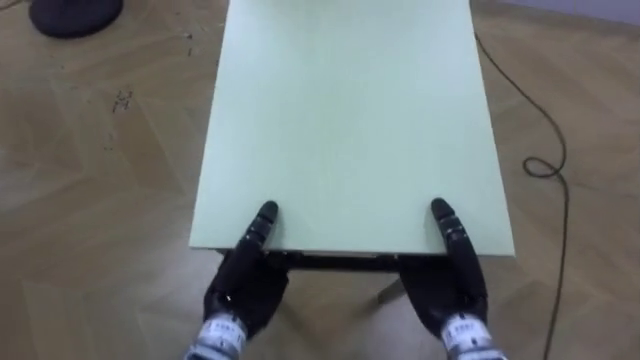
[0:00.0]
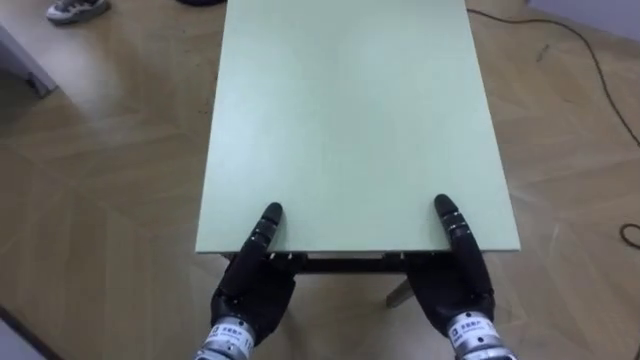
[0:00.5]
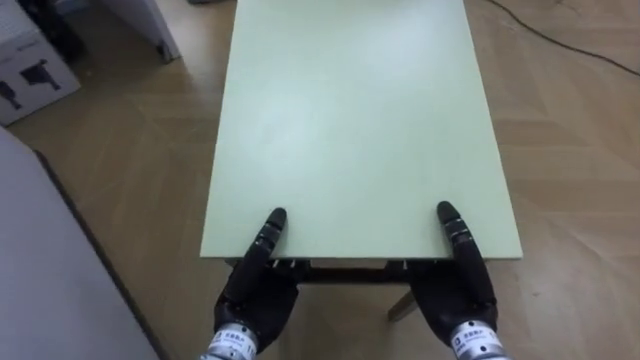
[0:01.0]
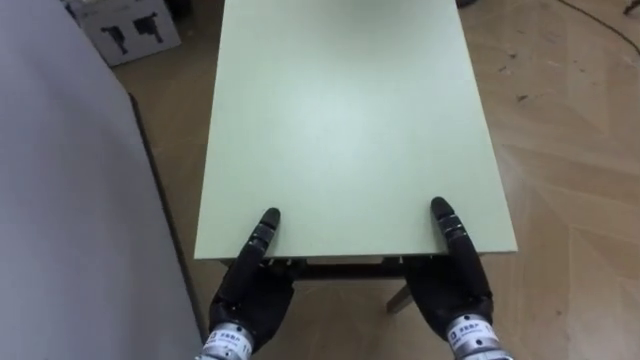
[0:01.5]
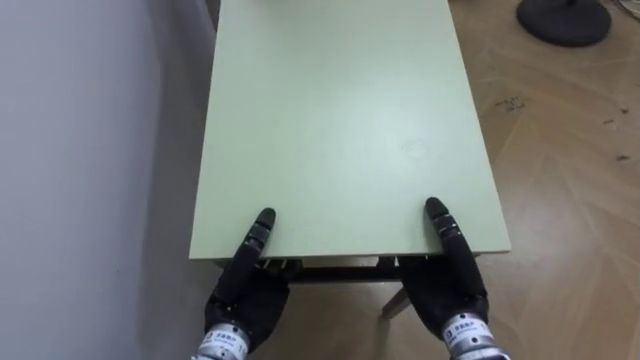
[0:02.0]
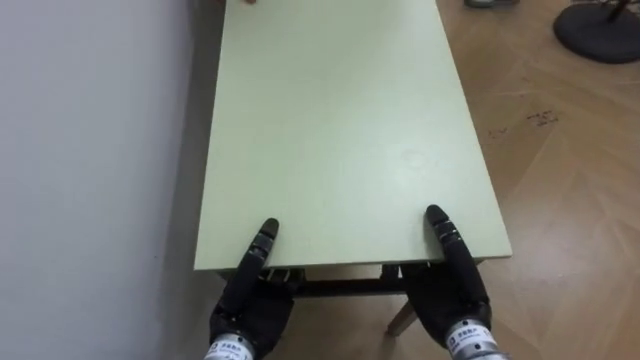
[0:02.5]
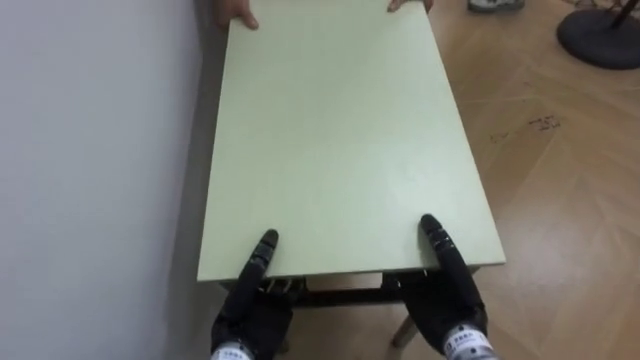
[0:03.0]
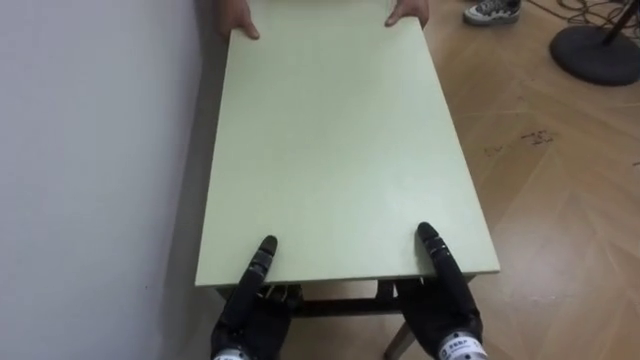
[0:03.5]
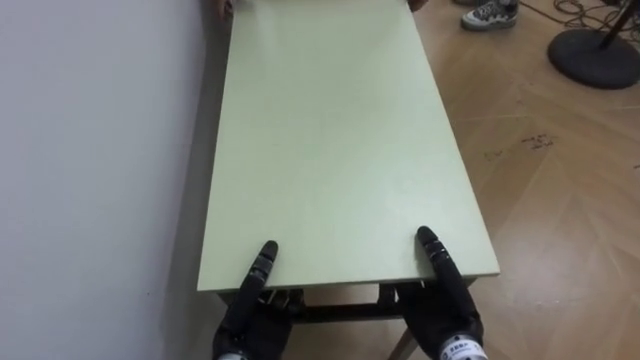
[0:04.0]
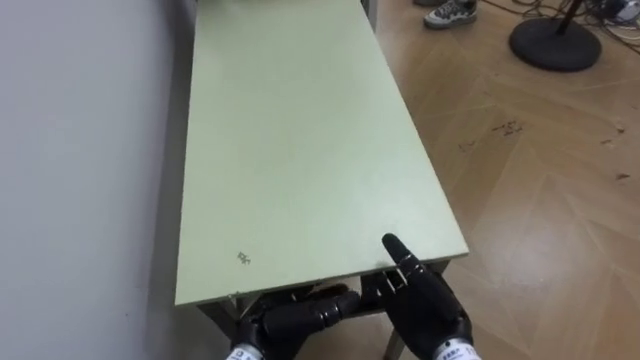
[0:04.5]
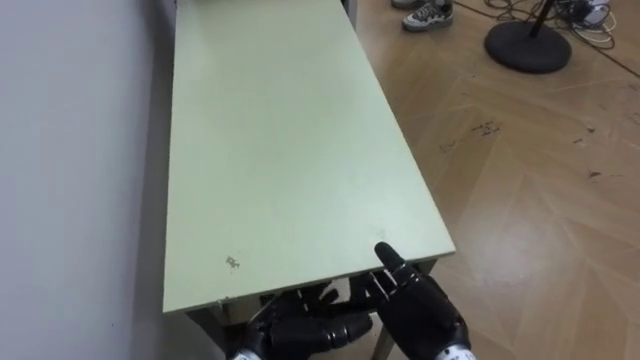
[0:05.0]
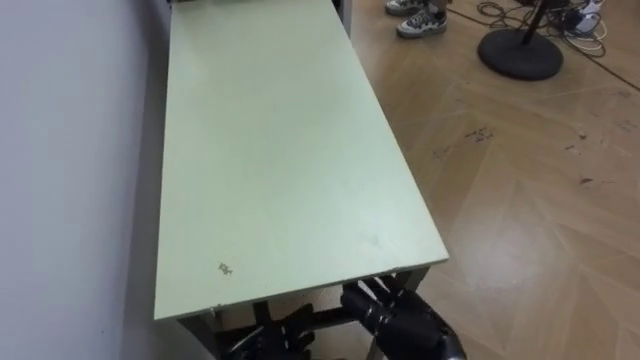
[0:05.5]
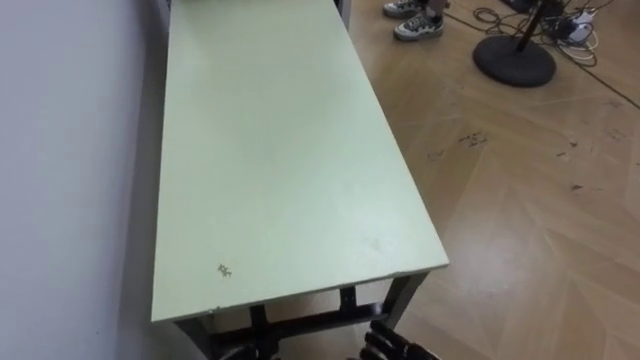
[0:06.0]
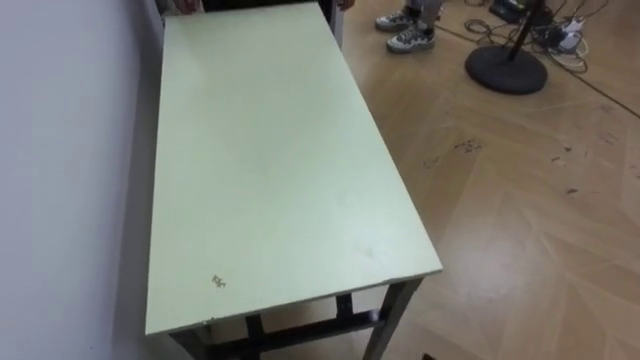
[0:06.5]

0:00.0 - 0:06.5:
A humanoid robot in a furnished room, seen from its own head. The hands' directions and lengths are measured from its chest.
Task of the whole recording: Move the table to the back left with someone.
0:00.0 - 0:02.0: The robot faces roughly 65 degrees further to its left.
0:02.0 - 0:04.5: The right hand opens its fingers, while the left hand ends up some 5 cm from where it was, and opens.

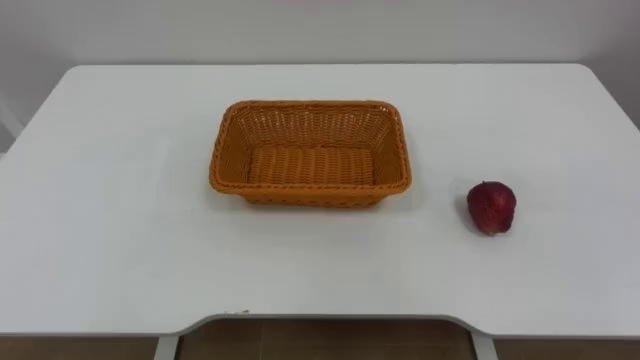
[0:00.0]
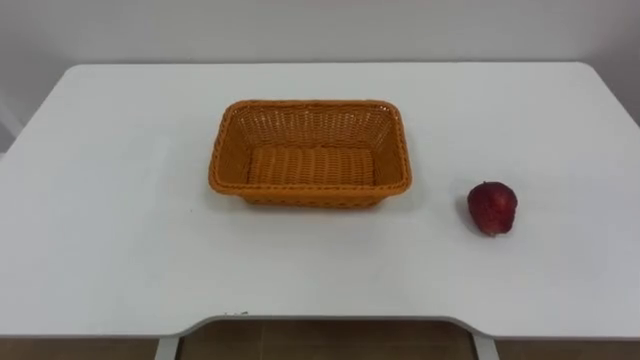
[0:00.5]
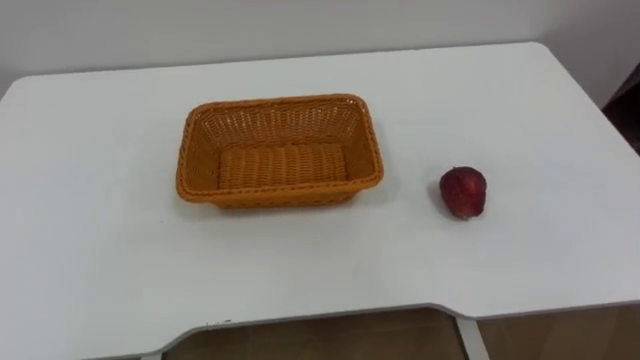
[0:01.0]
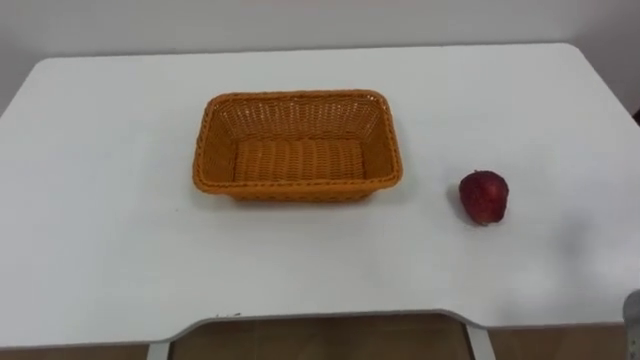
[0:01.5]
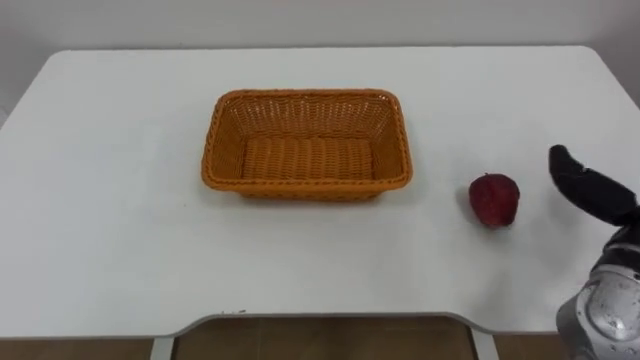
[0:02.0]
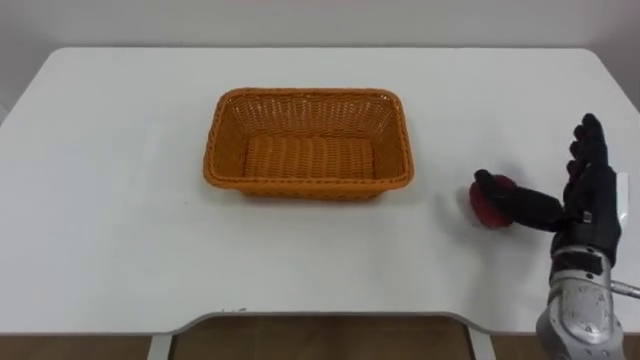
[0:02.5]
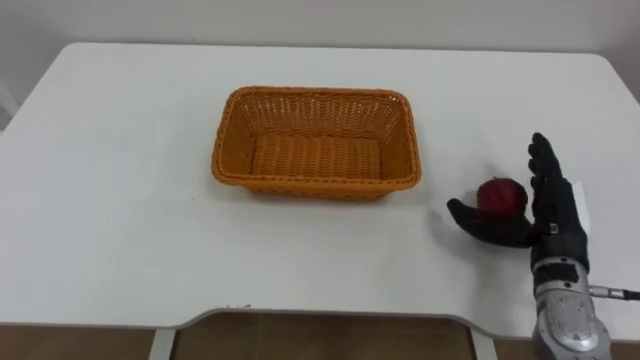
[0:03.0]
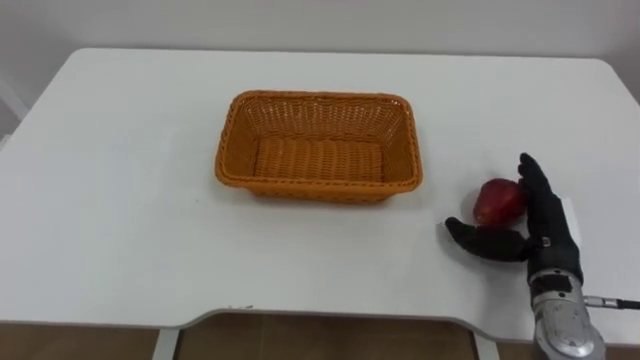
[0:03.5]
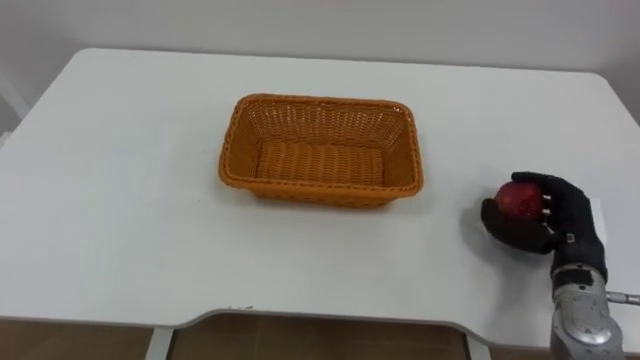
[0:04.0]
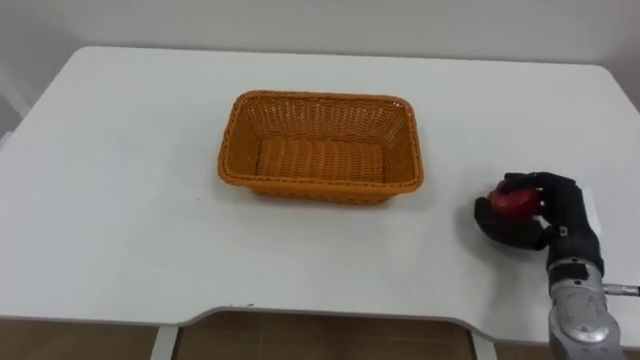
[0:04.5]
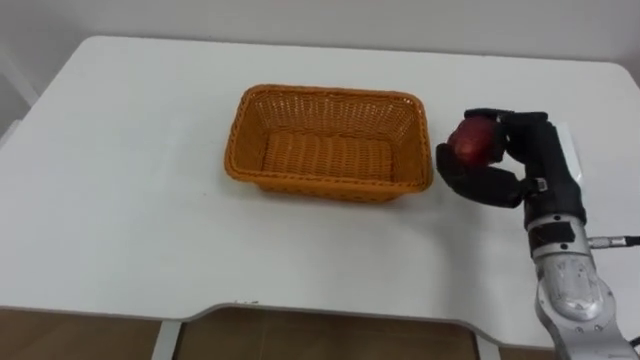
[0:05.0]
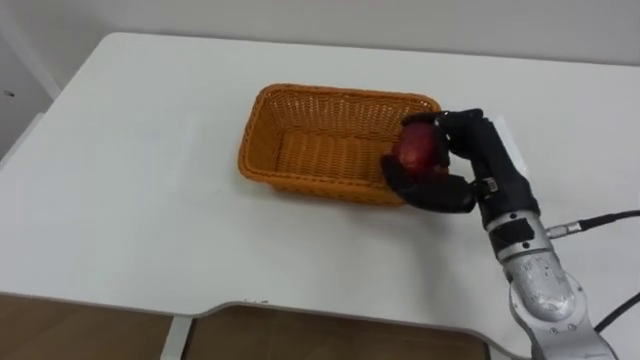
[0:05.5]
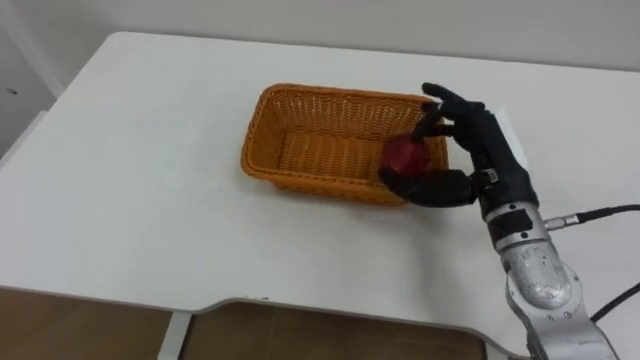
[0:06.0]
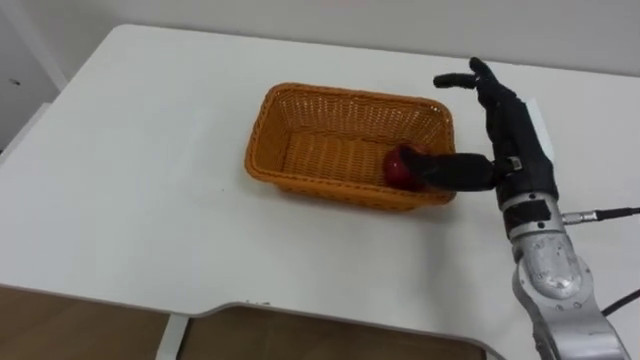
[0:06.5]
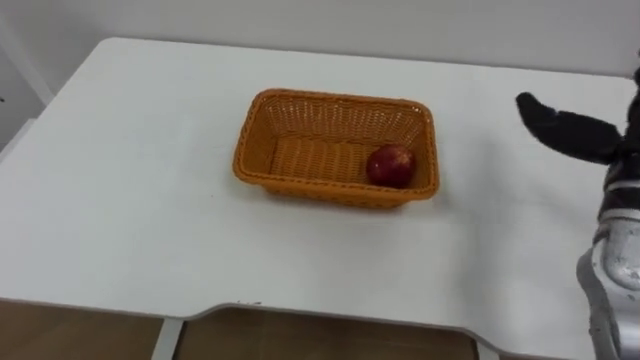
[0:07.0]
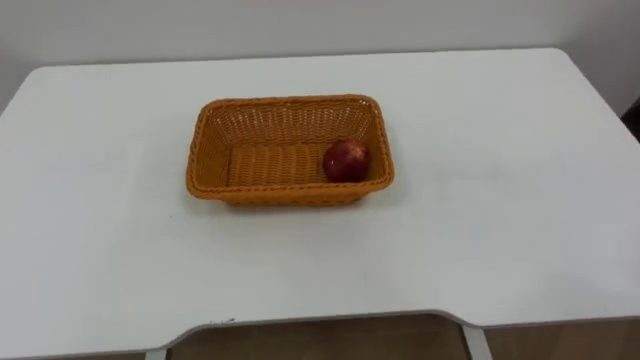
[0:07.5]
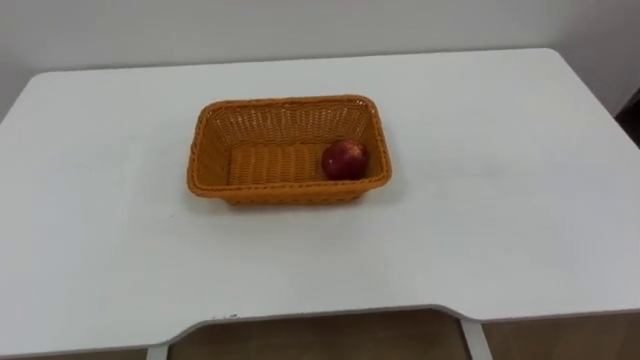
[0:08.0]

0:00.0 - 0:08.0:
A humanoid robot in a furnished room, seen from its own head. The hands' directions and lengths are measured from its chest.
Task of the whole recording: Pick the apple and place it in the box.
0:04.0 - 0:06.0: The right hand shifts some 15 cm to the left and upward.

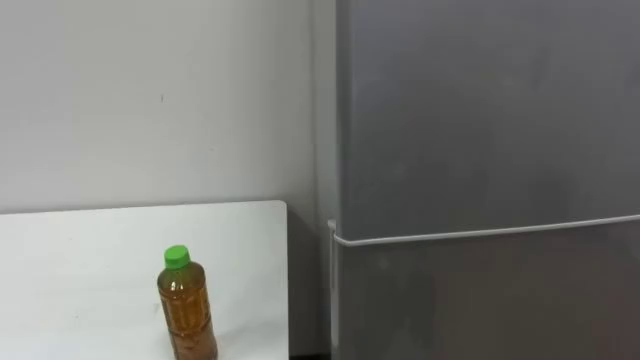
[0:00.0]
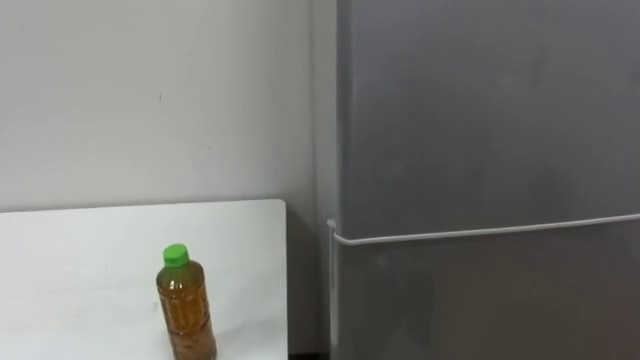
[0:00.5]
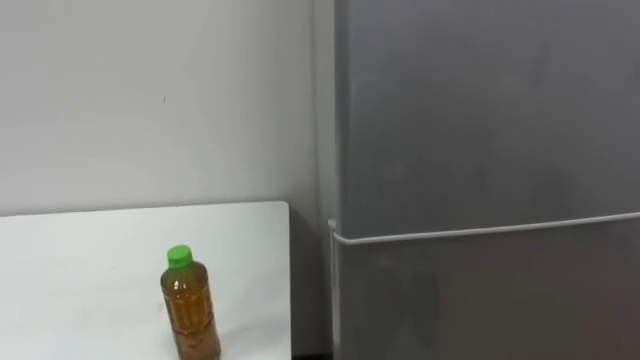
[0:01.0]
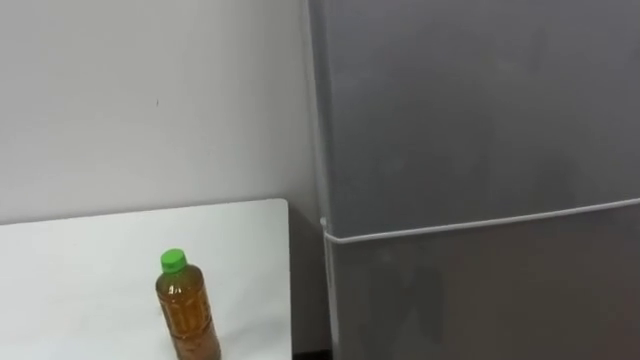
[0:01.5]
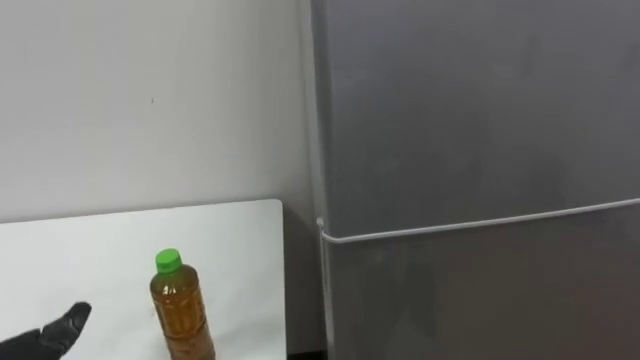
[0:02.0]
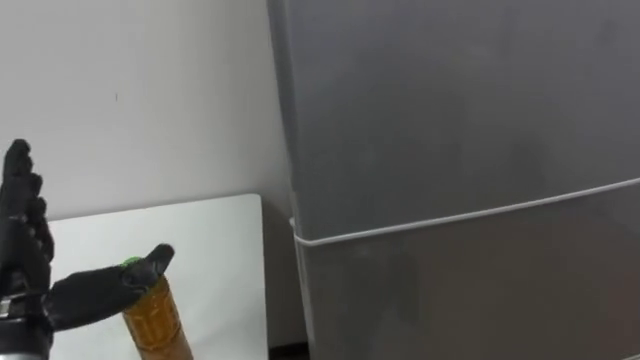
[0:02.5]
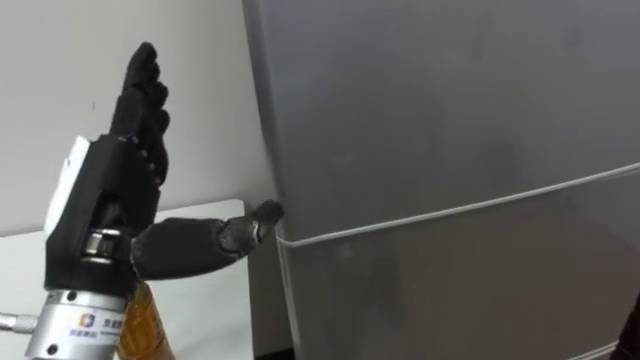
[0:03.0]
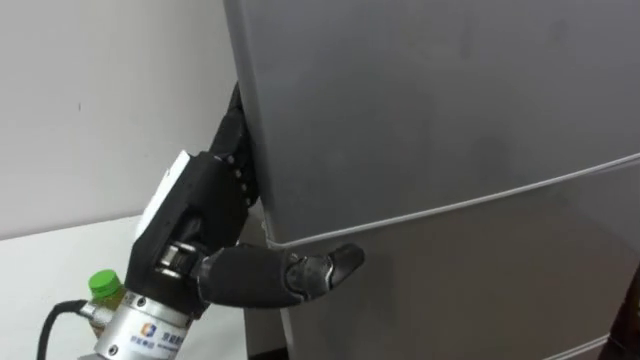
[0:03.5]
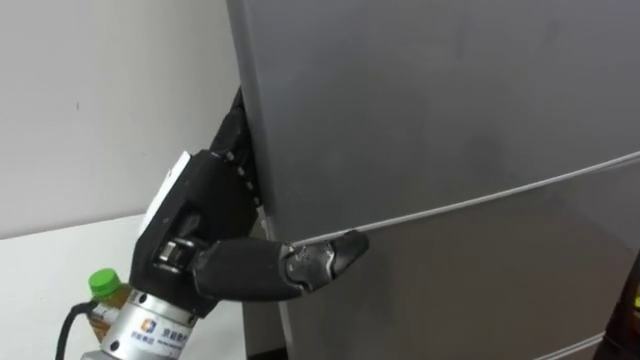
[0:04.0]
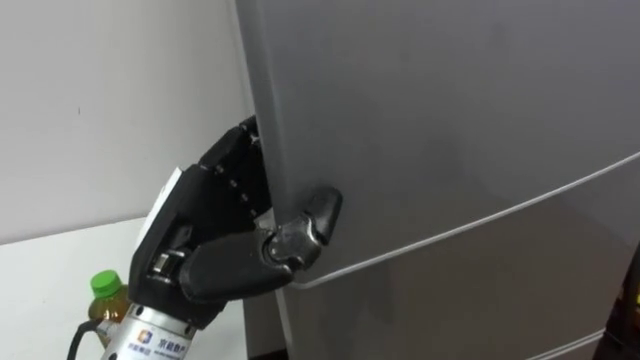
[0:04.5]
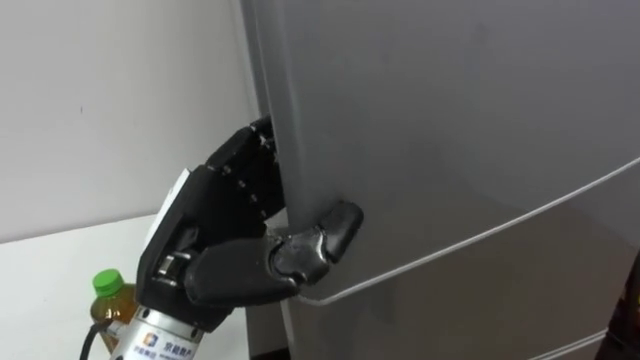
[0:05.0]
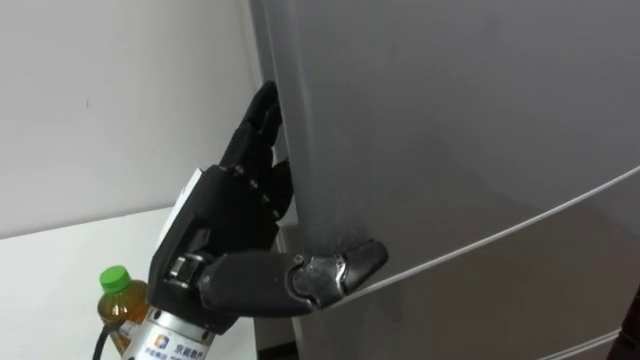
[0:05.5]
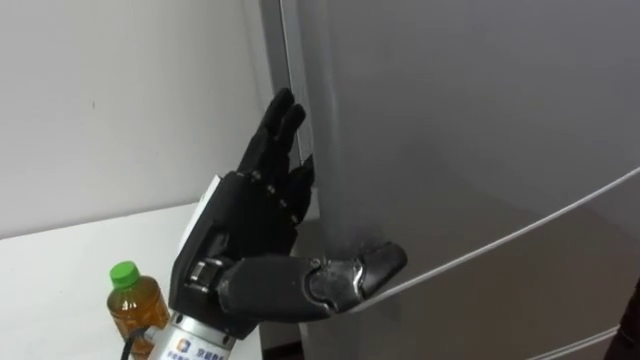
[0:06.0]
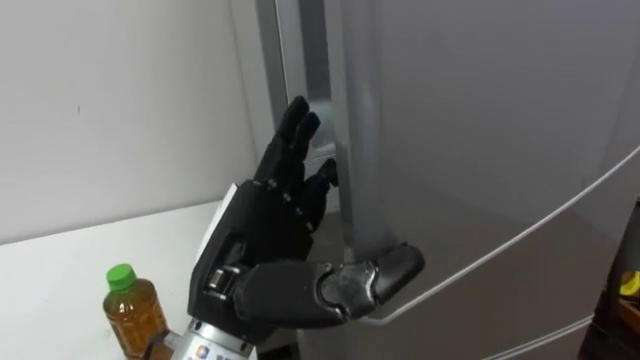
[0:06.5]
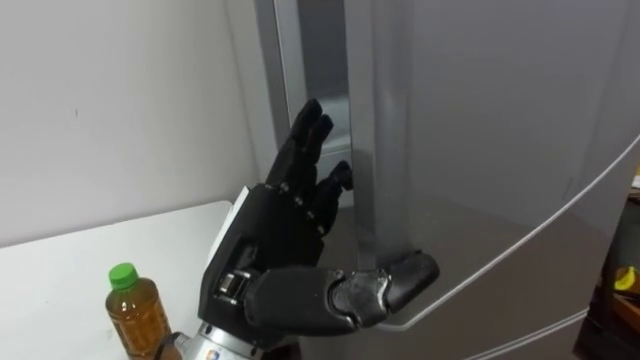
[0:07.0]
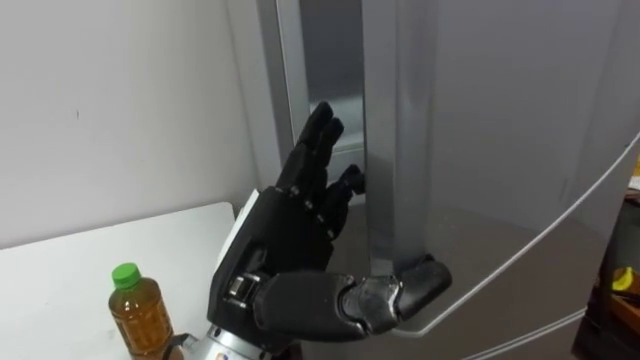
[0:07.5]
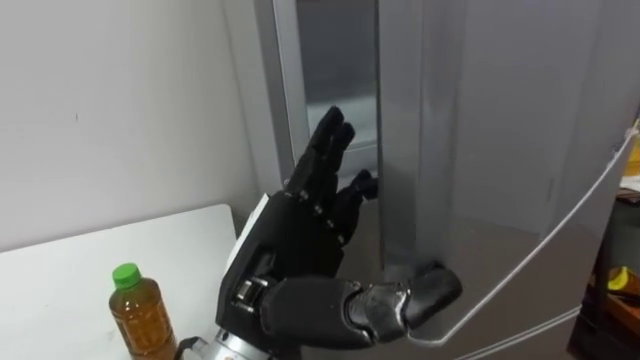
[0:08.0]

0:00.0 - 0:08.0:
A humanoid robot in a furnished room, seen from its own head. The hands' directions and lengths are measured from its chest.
Task of the whole recording: Open the upper refrigerator door, put the drink from the table into the refrigerator, and then close the refrigerator door.
0:04.0 - 0:06.0: The left hand closes and opens again.
